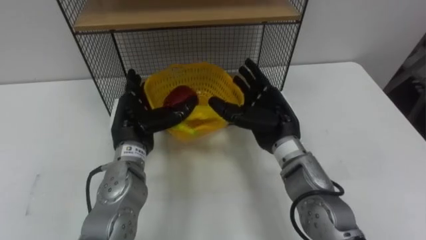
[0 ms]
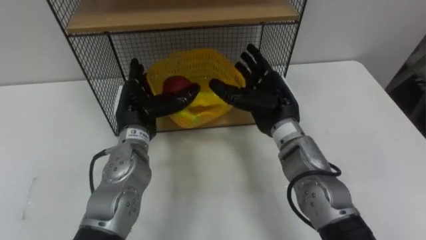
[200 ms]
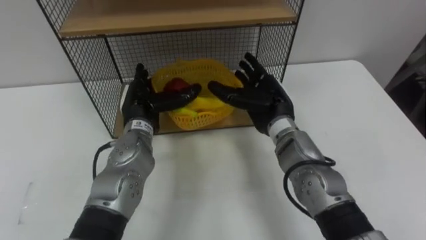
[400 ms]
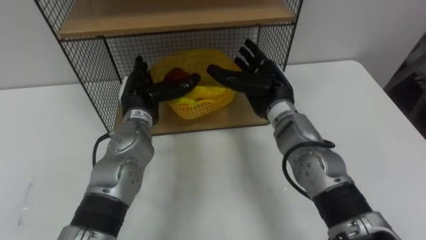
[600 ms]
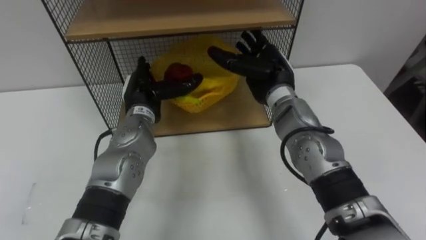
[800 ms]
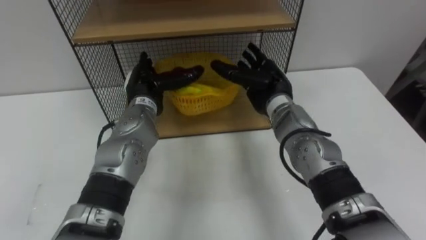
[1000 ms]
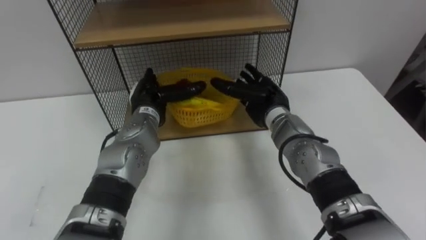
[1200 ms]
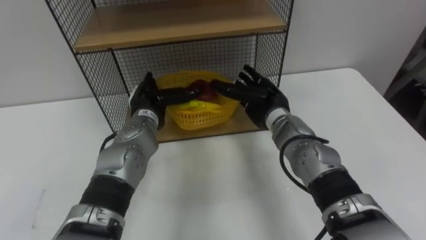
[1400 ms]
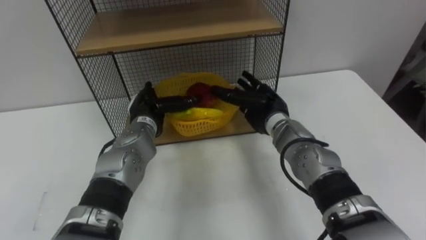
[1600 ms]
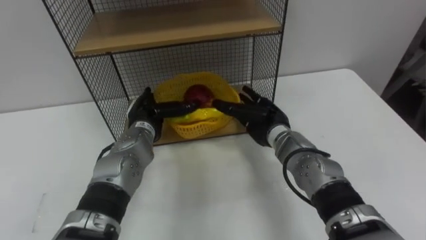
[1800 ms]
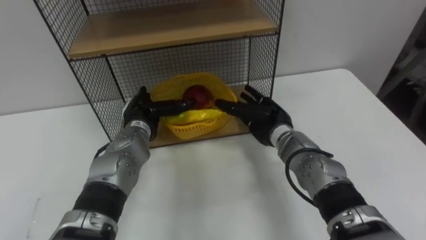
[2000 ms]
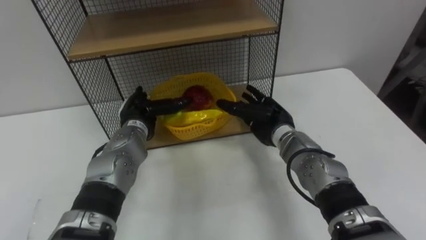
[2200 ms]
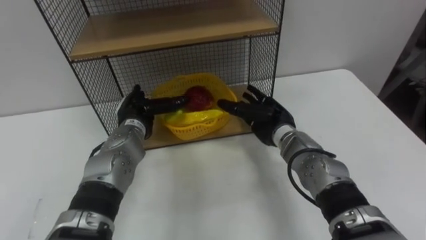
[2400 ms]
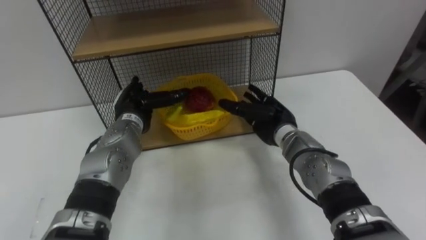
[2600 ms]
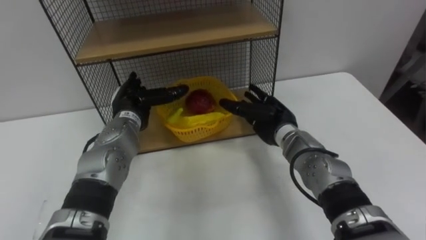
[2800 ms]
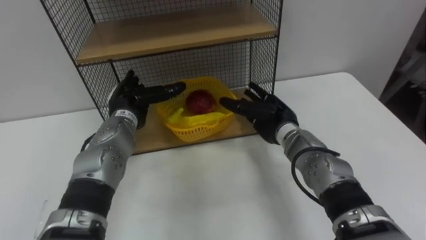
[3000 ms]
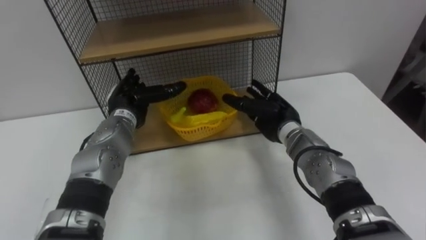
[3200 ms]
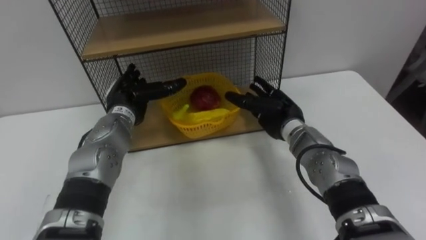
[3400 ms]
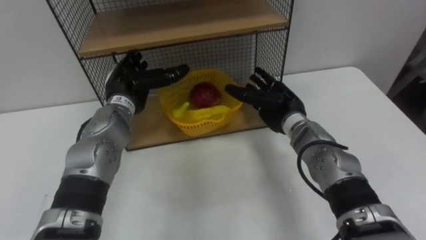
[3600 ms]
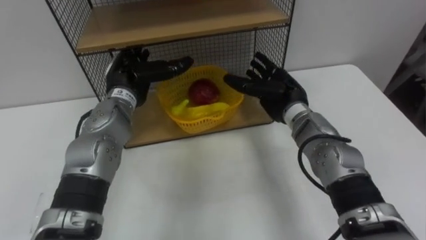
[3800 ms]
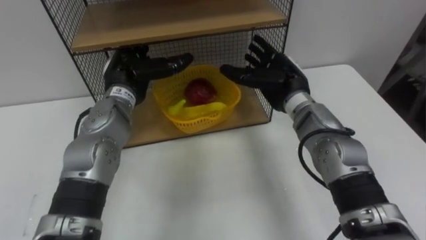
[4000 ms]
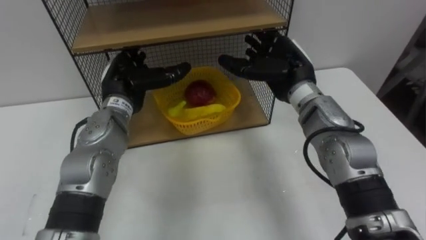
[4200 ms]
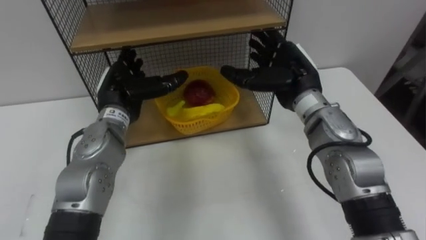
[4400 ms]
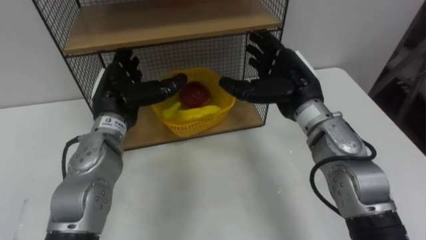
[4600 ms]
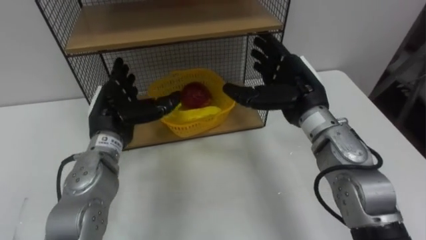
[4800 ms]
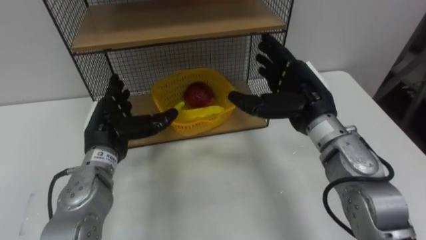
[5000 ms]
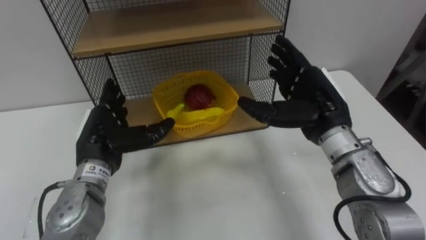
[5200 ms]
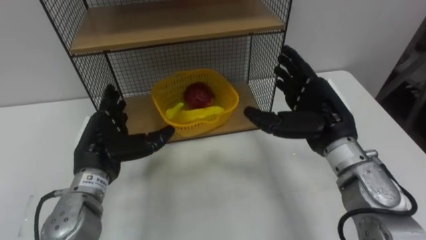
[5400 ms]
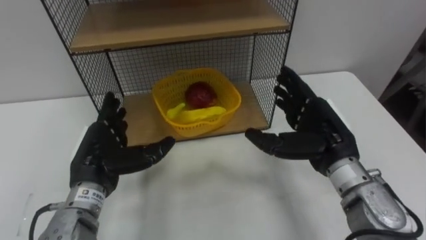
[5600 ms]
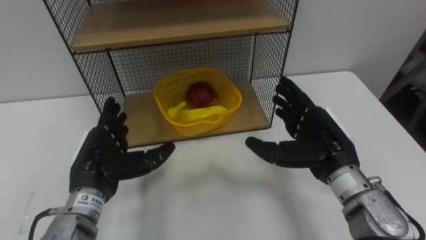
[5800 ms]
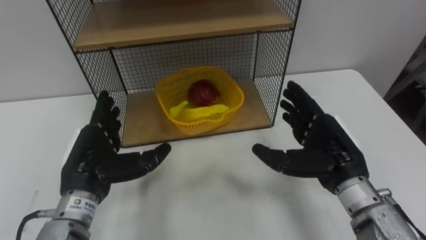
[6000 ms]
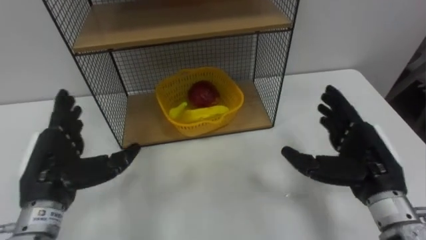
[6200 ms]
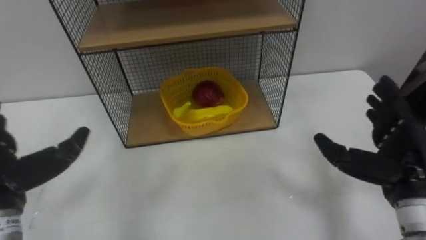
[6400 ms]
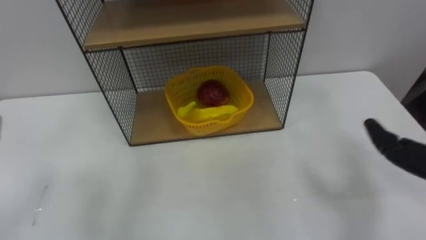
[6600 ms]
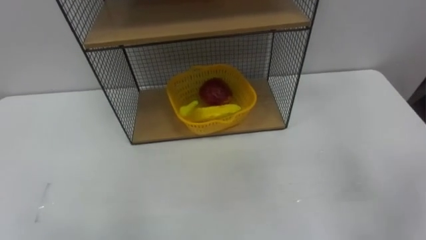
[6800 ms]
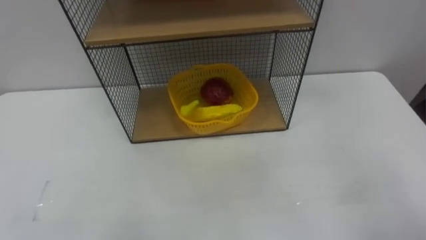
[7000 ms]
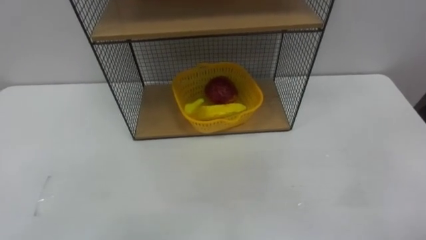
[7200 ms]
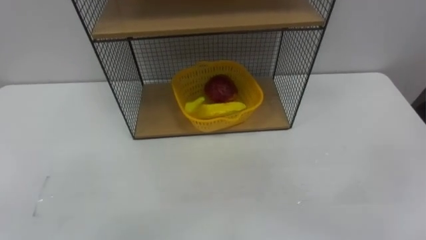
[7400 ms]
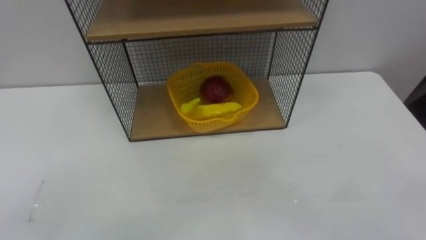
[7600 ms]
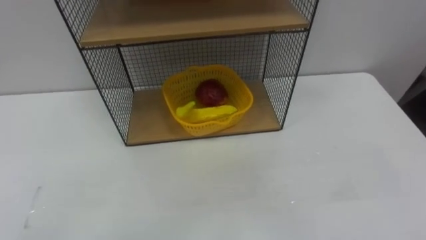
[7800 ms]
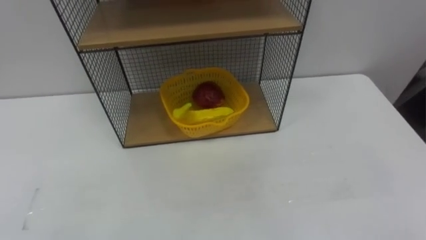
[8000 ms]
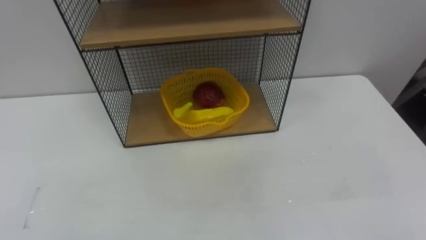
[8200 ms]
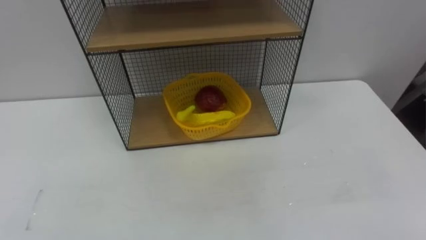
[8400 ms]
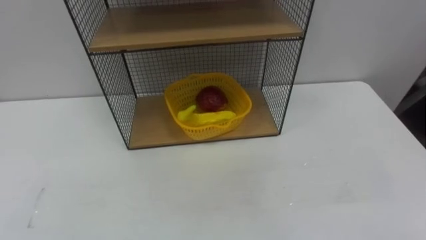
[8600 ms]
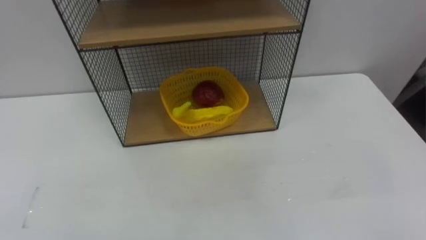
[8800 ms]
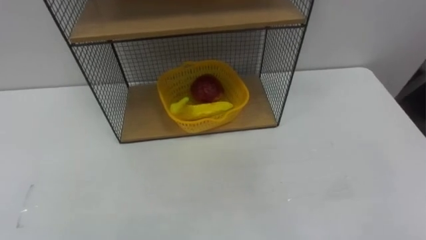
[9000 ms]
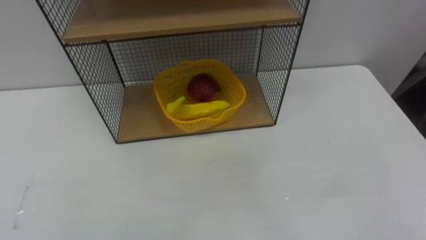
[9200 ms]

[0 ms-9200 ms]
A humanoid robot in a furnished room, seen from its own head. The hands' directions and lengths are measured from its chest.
Task of the whole recording: Put the fruit on the table into the basket, then place the basket on the shelf.
0 ms to 1600 ms: Both hands move forward, some 5 cm.
3000 ms to 4600 ms: The left hand travels upward by about 5 cm; the right hand heads upward, covering some 10 cm.
4600 ms to 6200 ms: The right hand travels backward and to the right by roughly 15 cm, while the left hand goes roughly 15 cm backward and to the left.

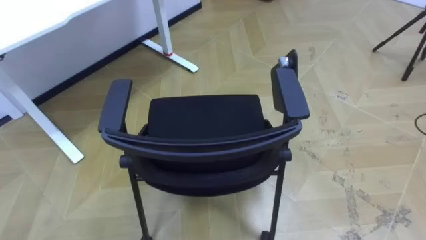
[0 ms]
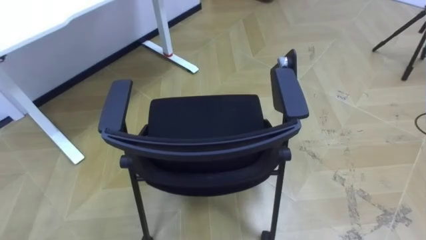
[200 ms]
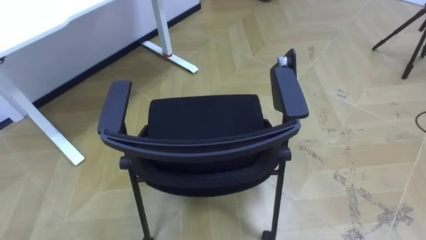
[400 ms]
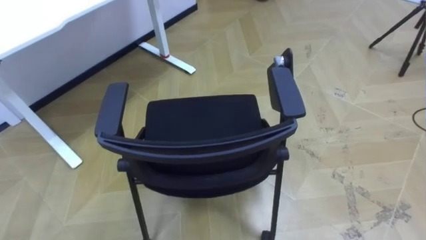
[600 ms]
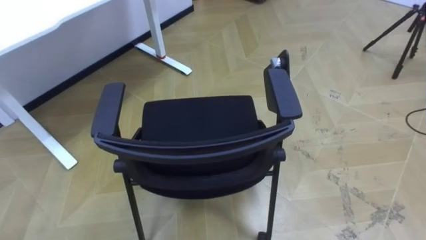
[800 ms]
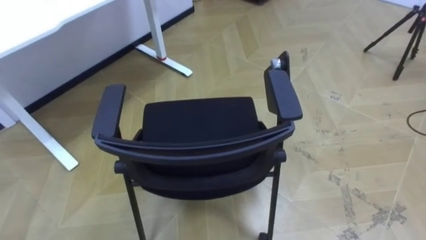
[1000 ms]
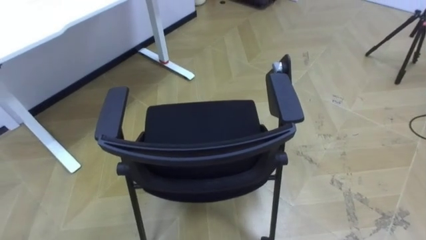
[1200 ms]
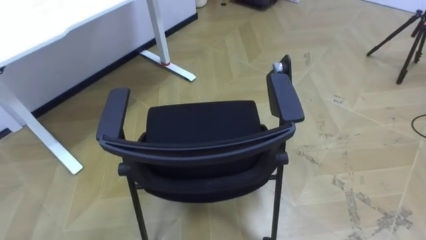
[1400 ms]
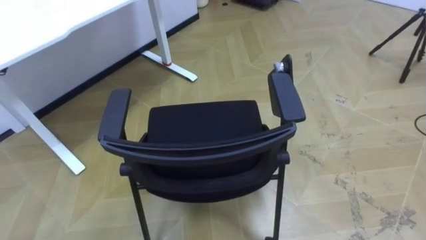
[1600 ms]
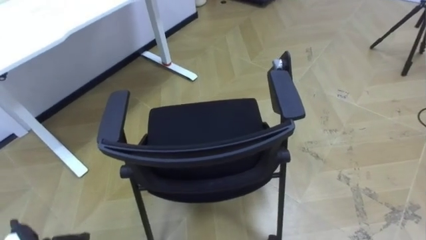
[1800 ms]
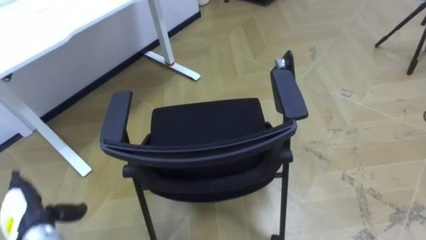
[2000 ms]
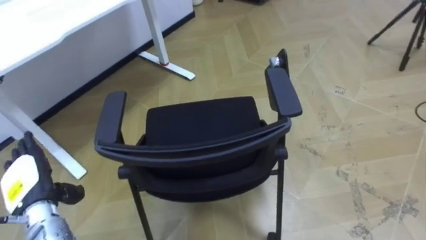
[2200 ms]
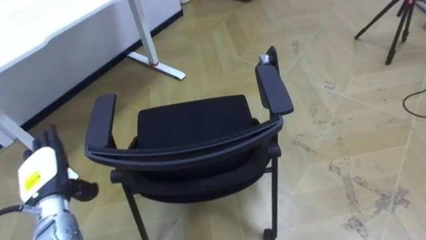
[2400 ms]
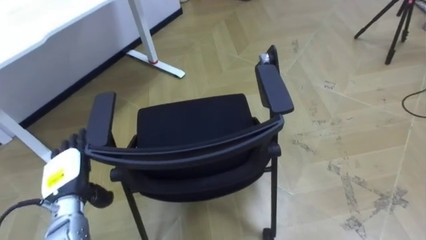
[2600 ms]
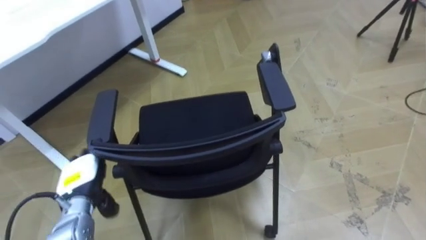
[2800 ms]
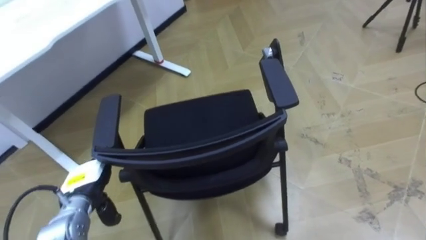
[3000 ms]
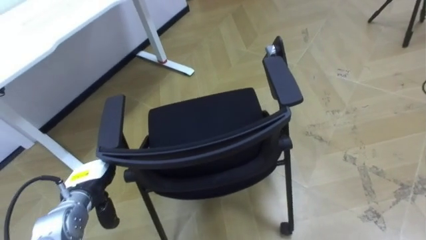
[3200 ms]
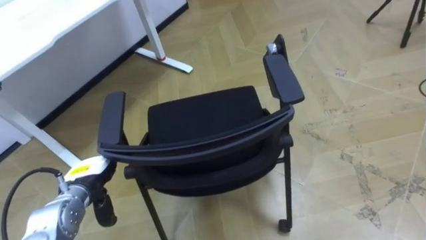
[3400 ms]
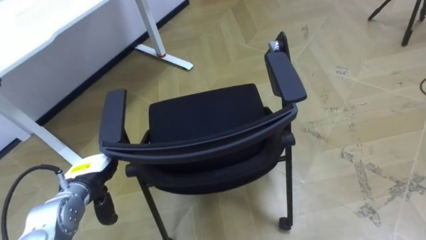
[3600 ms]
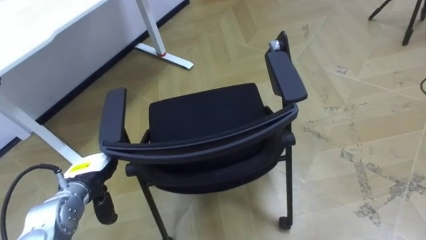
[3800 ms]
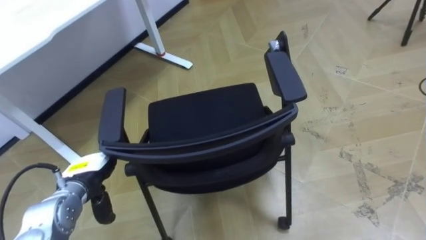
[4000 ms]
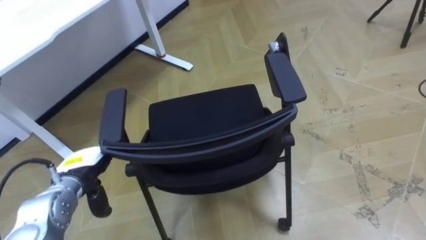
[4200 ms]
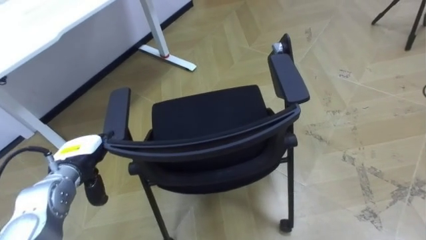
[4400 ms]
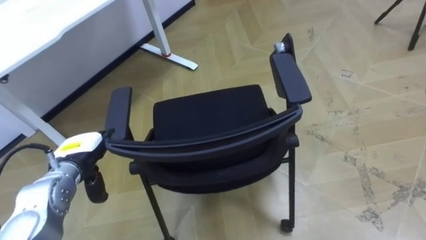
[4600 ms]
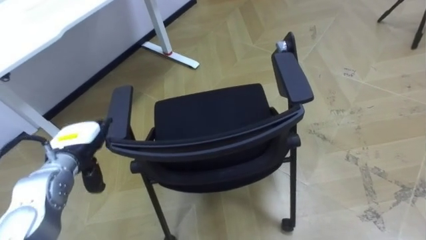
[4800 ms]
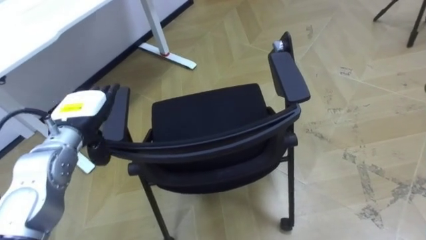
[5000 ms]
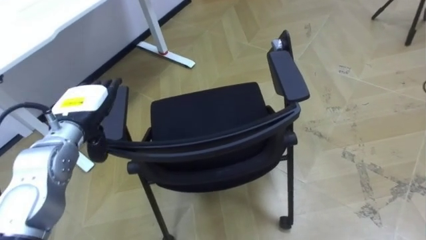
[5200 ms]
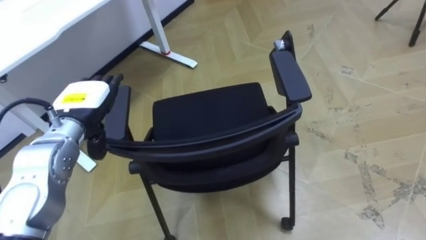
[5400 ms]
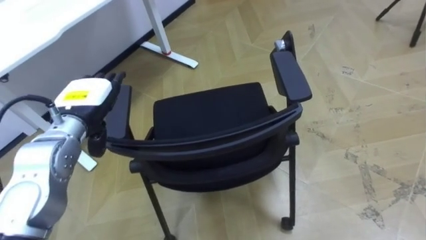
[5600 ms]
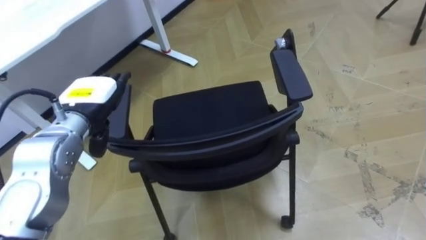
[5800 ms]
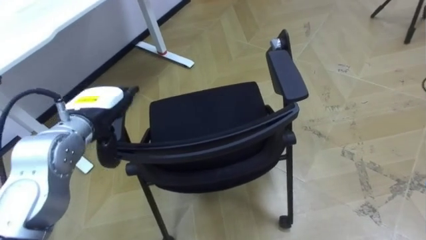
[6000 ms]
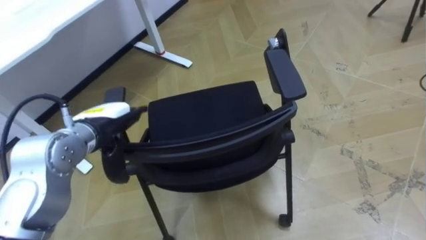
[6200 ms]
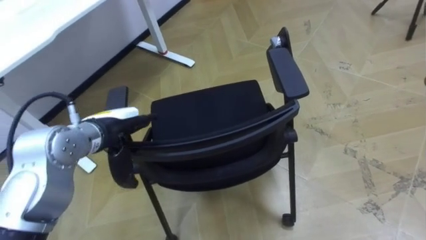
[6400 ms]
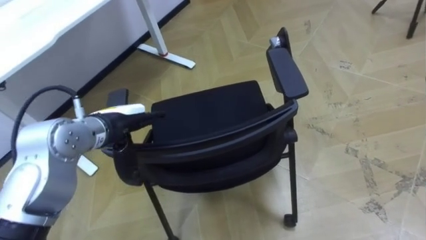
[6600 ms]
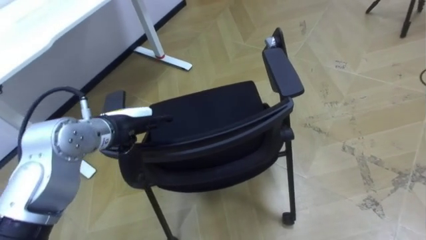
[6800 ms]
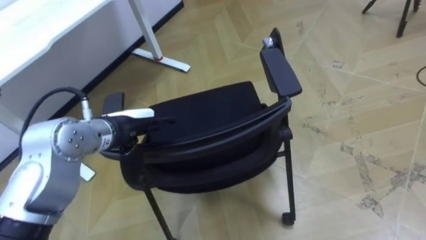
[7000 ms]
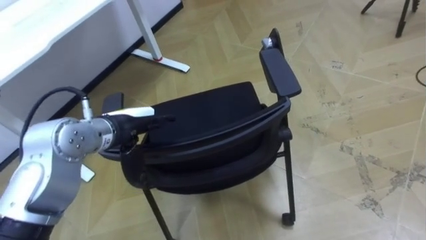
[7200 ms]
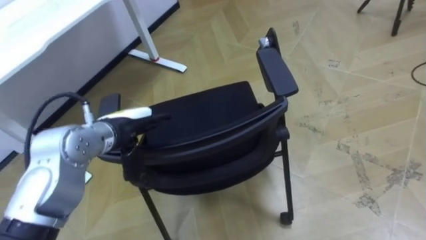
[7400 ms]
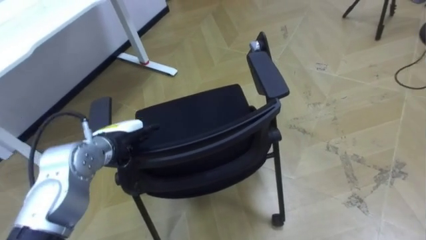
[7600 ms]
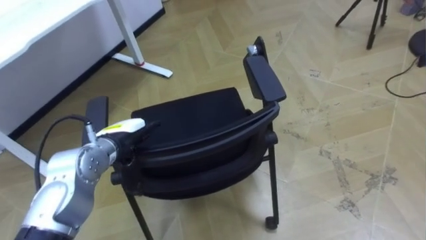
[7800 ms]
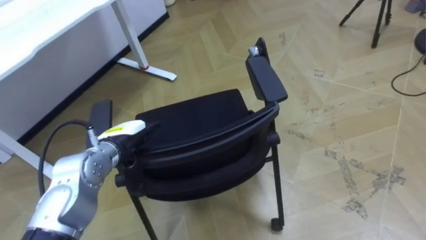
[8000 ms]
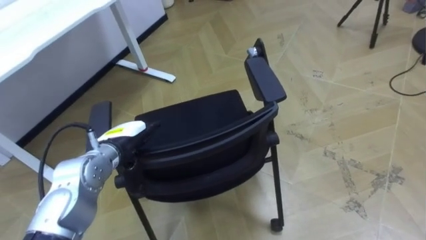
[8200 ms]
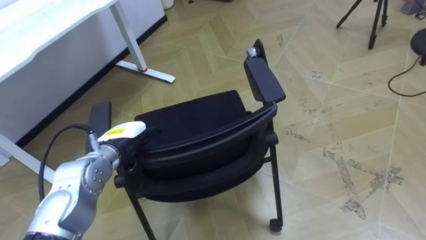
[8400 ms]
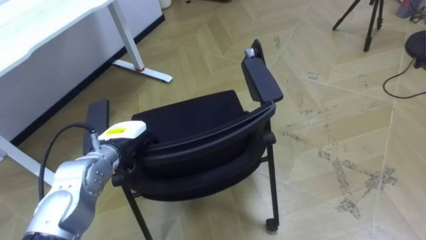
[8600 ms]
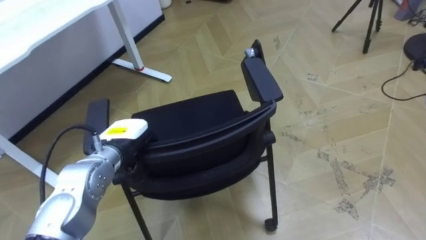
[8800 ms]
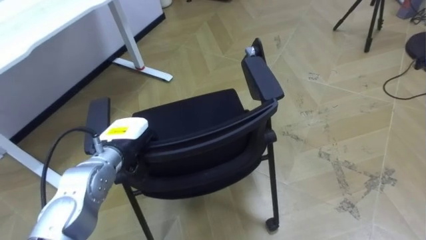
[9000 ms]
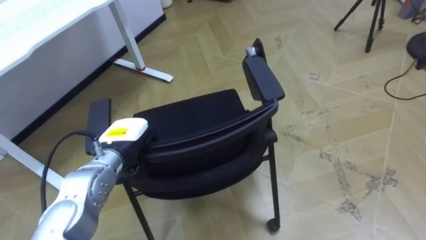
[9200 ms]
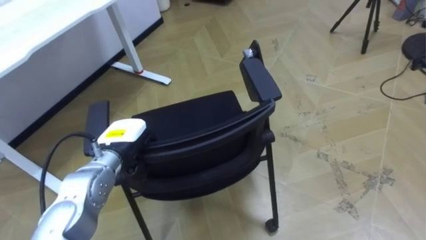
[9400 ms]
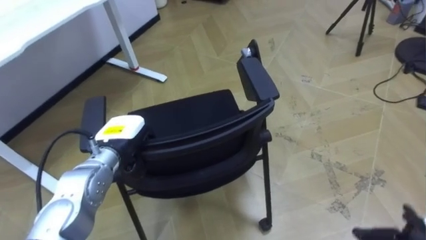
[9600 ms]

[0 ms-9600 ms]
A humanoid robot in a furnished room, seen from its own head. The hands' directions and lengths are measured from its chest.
Task of the whole recording: Push the chair under the table.
3200 ms to 4800 ms: The left hand heads upward, covering approximately 5 cm.
4800 ms to 6400 ms: The left hand is displaced to the right and upward by roughly 10 cm.
6400 ms to 8000 ms: The left hand is displaced downward by some 5 cm.
8000 ms to 9600 ms: The left hand closes up.
